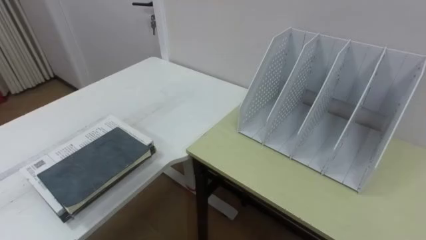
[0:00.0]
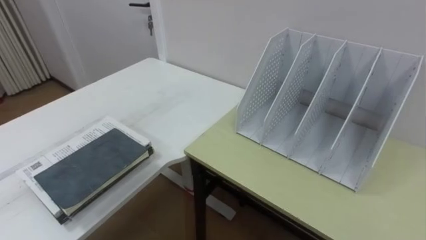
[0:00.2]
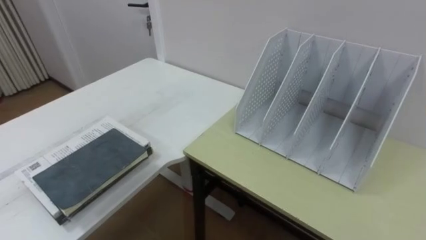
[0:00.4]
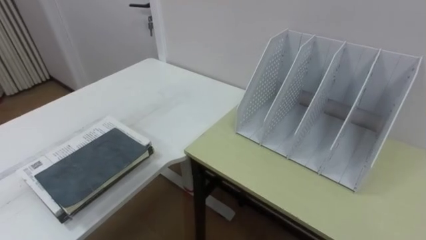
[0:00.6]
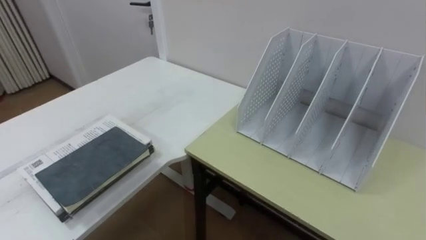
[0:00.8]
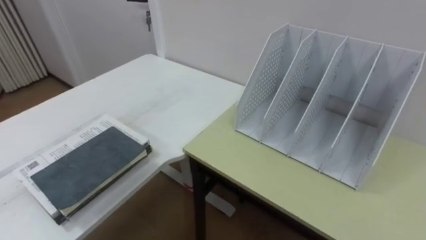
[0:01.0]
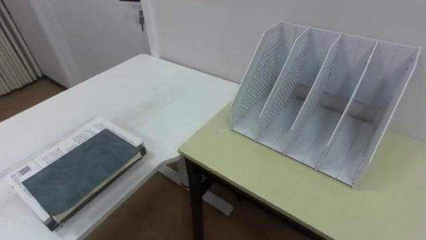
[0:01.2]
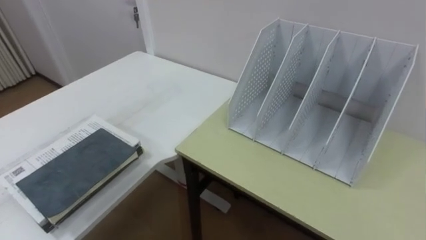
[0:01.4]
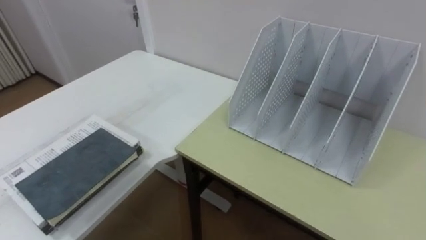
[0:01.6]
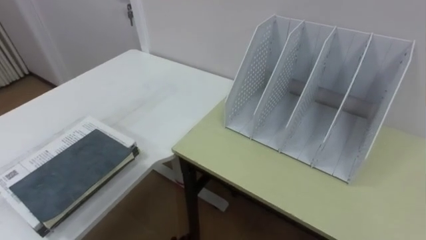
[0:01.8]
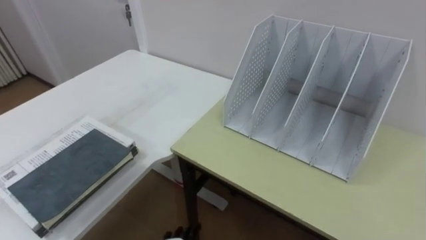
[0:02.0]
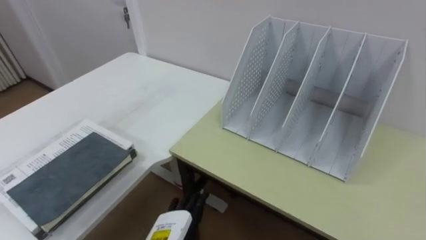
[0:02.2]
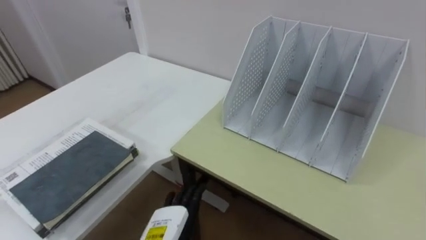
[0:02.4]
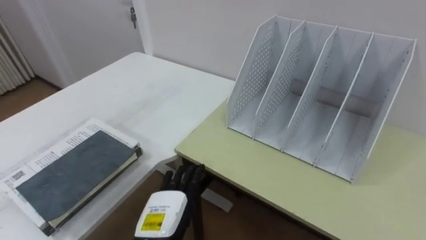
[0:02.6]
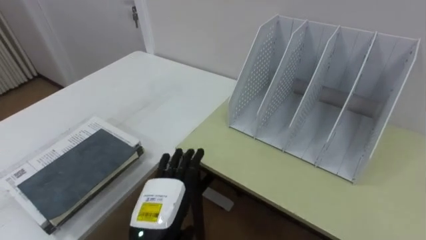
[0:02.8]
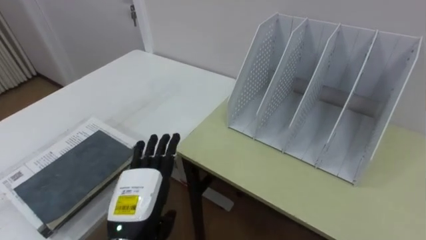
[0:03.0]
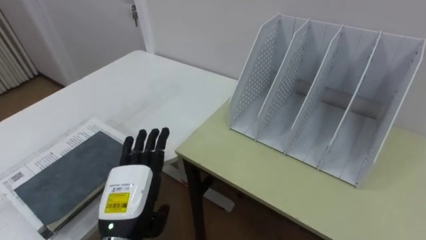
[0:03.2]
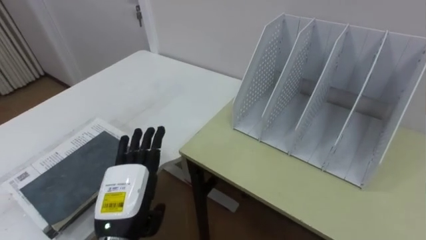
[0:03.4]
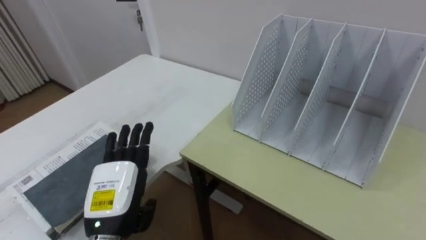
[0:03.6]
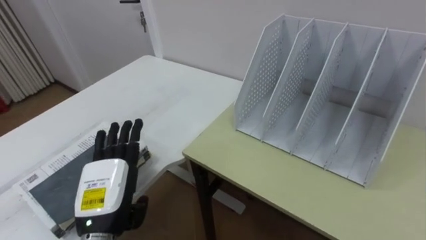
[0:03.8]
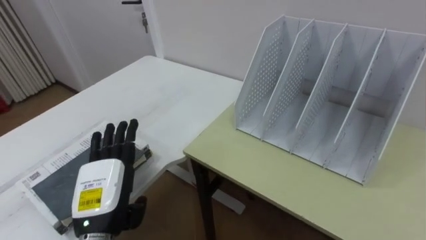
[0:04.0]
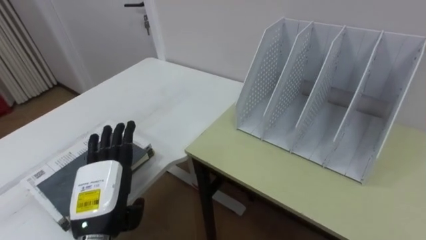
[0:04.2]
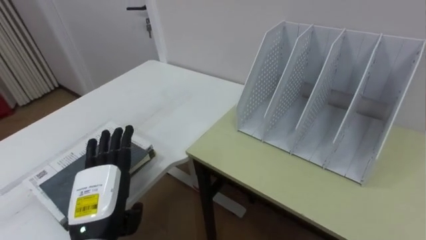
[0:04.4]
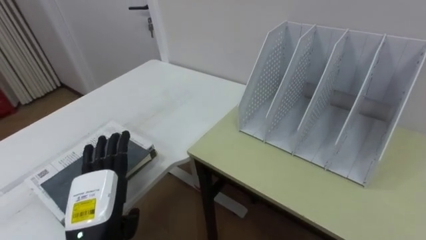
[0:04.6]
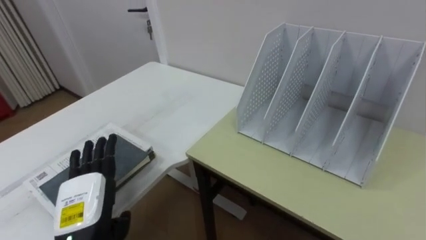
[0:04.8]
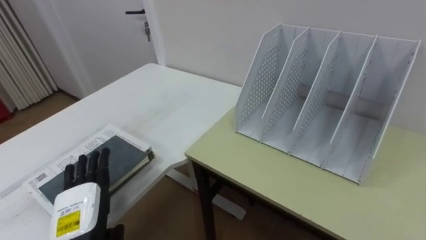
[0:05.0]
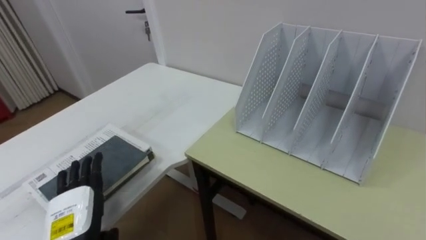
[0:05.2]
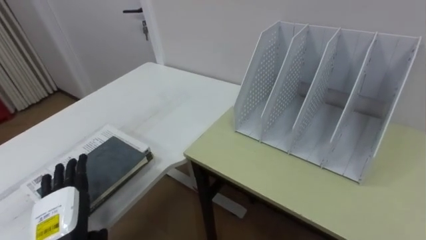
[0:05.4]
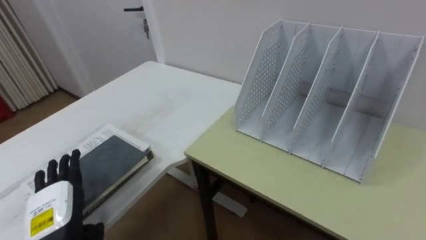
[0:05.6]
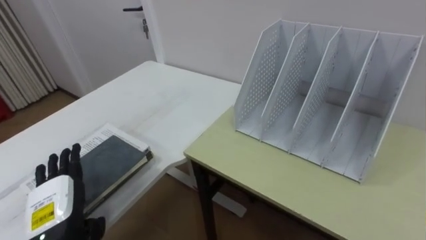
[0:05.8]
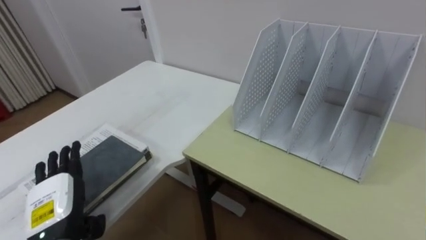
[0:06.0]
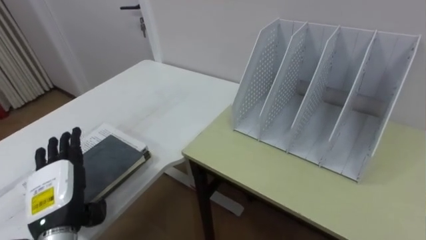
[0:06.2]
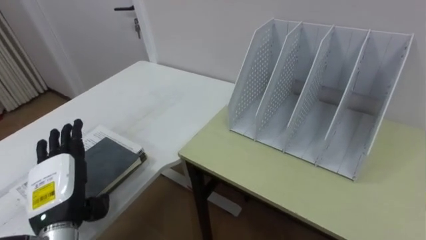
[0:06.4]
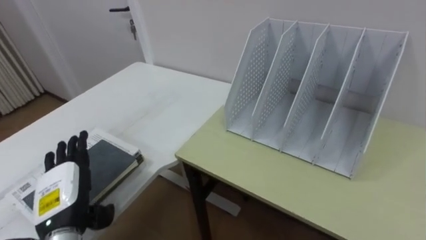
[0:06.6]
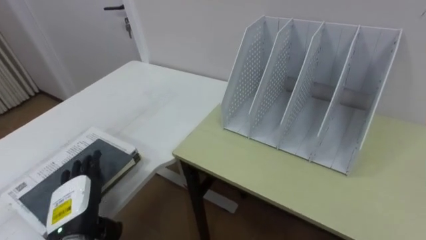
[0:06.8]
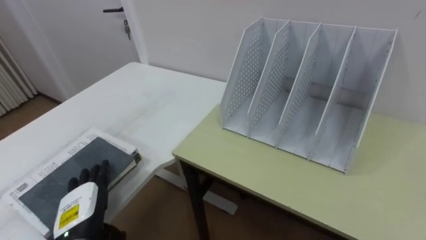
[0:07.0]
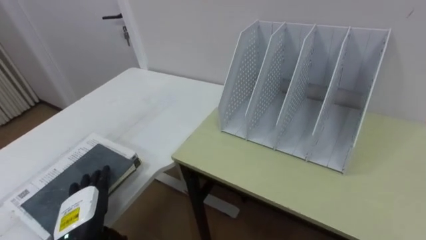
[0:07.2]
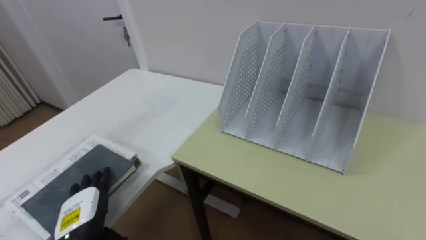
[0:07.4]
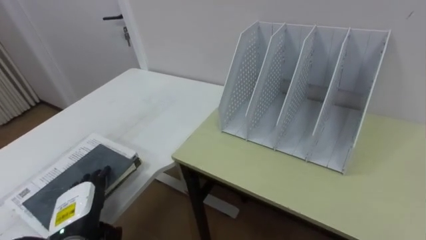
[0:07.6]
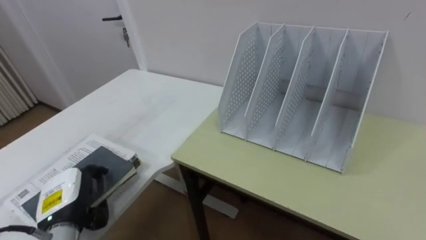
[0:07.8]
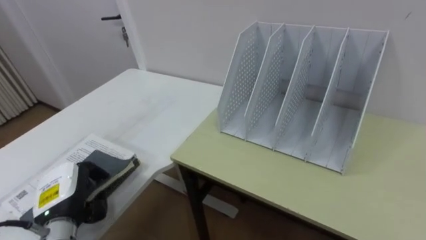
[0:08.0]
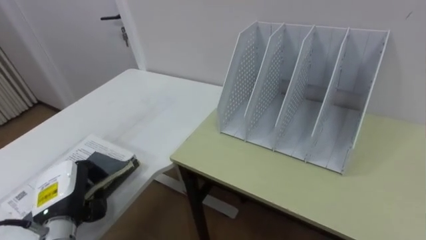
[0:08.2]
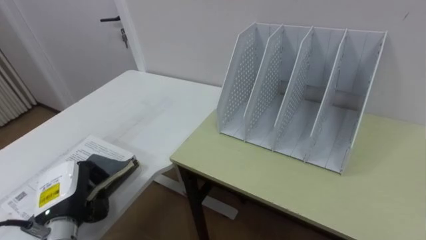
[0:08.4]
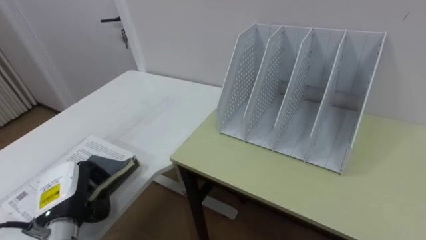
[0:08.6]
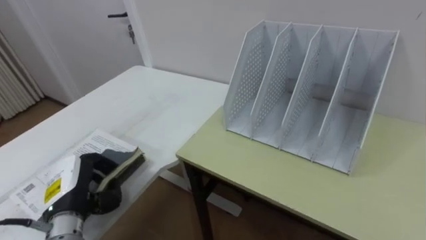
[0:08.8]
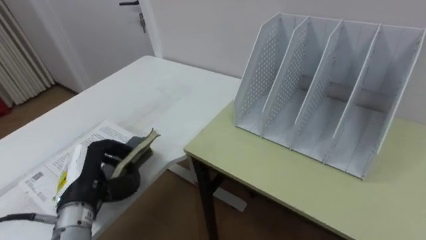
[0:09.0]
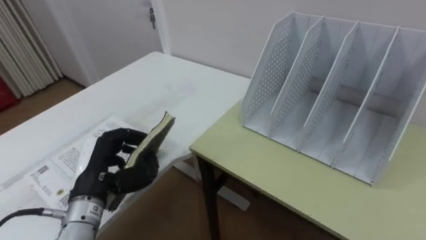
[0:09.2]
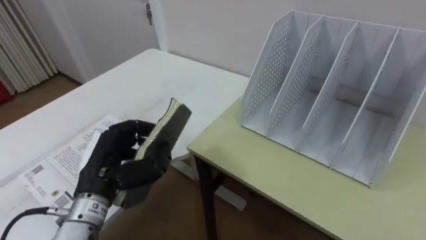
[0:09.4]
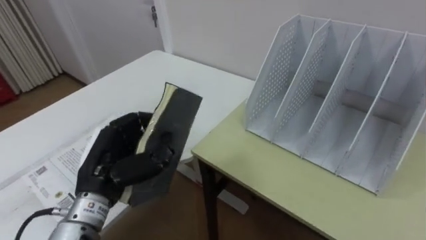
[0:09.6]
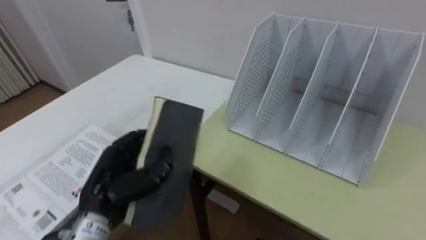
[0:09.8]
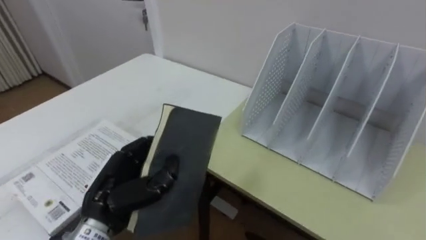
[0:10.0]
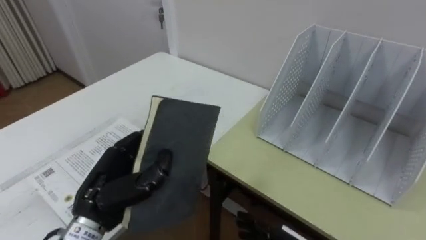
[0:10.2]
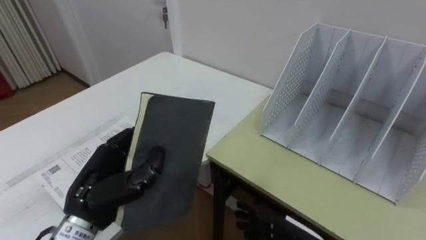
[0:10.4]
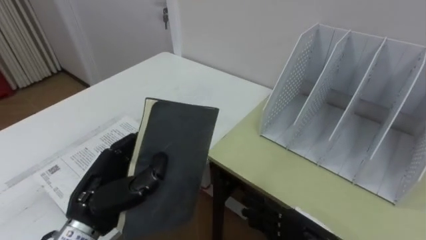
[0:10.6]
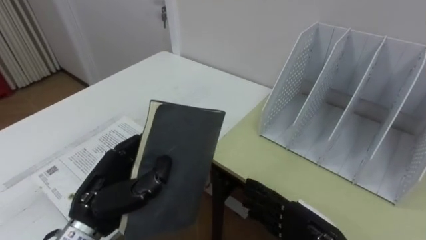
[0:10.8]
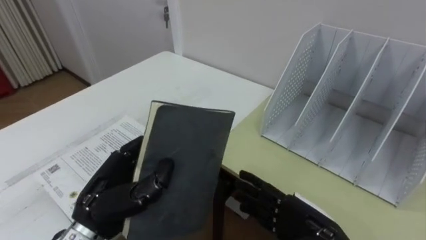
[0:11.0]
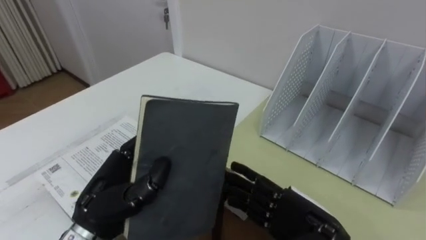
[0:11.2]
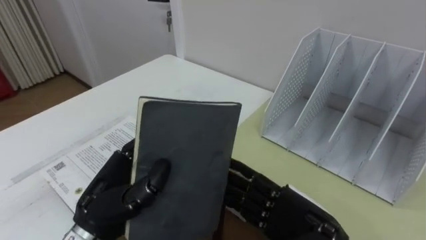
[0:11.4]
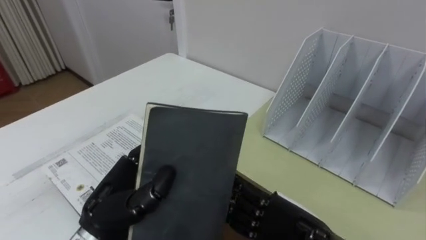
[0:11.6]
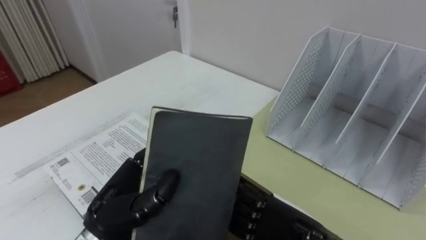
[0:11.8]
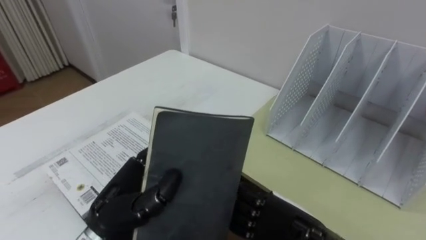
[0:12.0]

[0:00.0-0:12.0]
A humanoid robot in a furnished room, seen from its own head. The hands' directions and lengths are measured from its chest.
Task of the whole recording: Put the books on the table onto the bookshelf.
0:03.0 to 0:04.4: The left hand goes approximately 5 cm to the left.
0:04.4 to 0:06.0: The left hand travels to the left by about 5 cm.
0:06.0 to 0:07.6: The left hand moves roughly 5 cm.
0:07.6 to 0:09.0: The left hand moves upward, some 5 cm, and closes its fingers.
0:09.0 to 0:10.4: The left hand shifts approximately 5 cm to the right.
0:10.4 to 0:12.0: The right hand shifts about 10 cm upward.

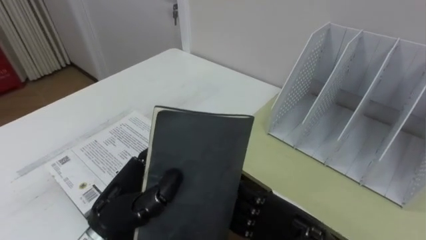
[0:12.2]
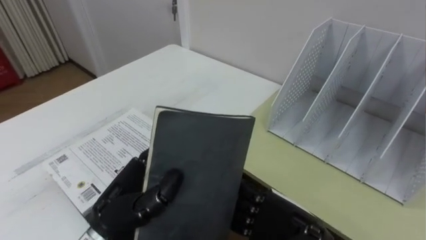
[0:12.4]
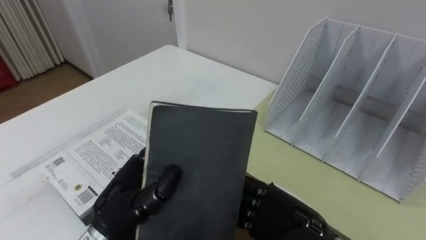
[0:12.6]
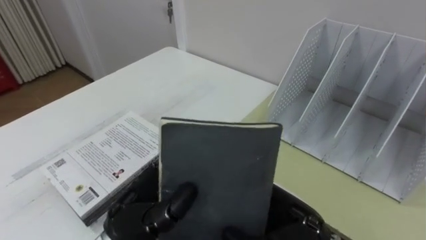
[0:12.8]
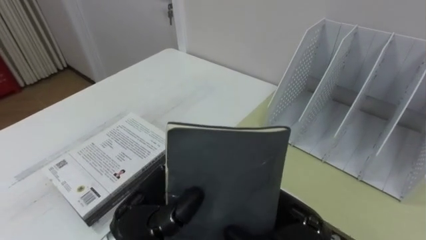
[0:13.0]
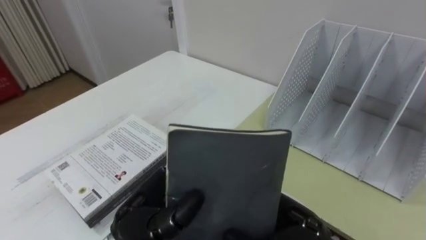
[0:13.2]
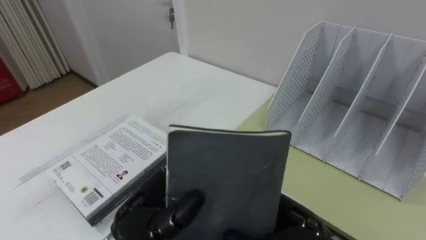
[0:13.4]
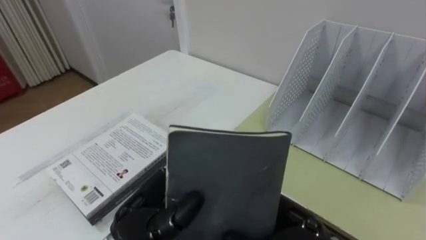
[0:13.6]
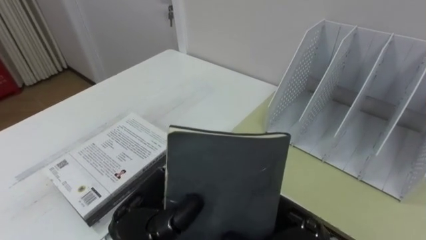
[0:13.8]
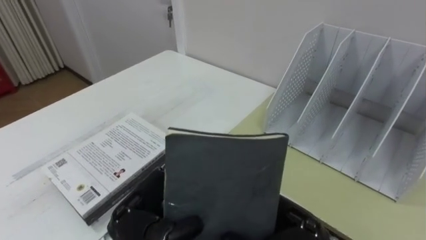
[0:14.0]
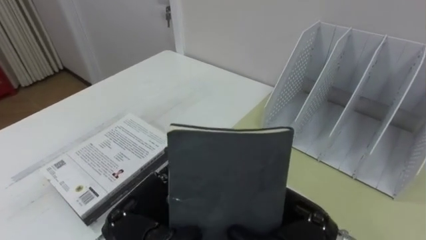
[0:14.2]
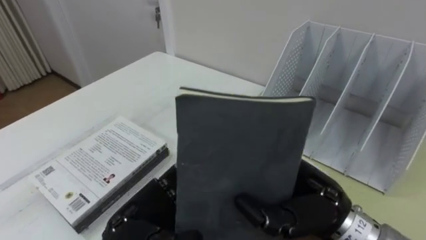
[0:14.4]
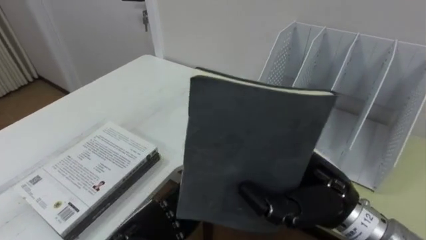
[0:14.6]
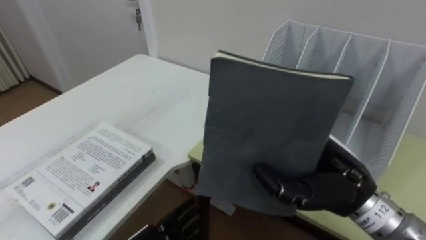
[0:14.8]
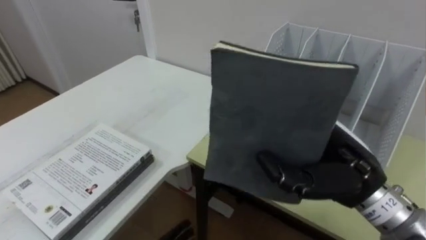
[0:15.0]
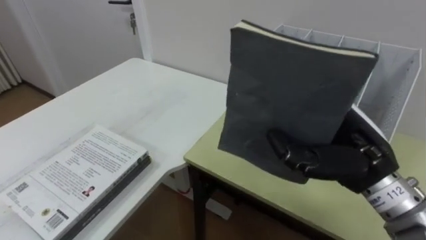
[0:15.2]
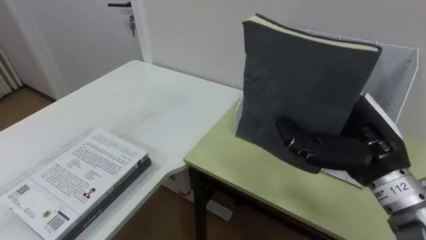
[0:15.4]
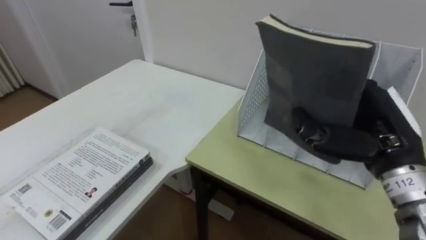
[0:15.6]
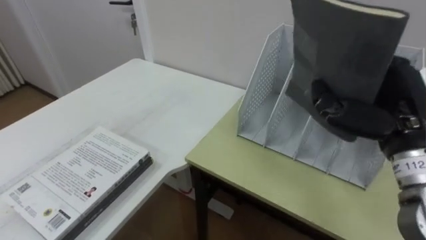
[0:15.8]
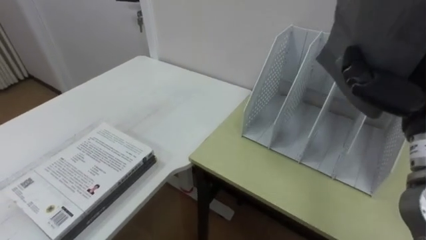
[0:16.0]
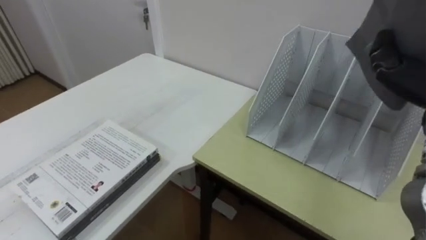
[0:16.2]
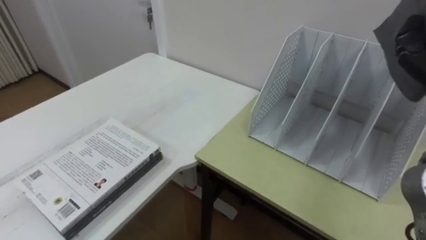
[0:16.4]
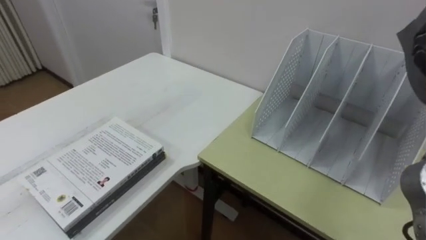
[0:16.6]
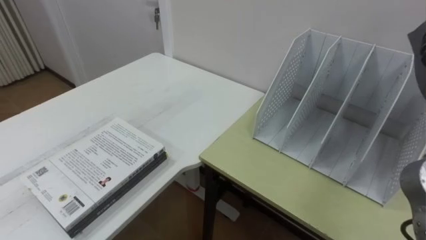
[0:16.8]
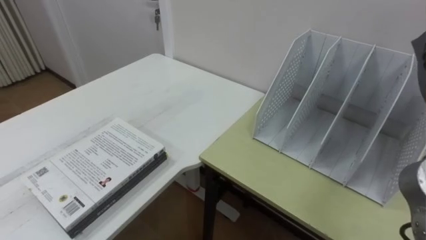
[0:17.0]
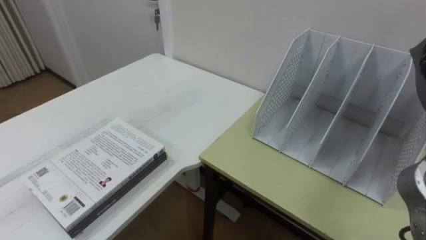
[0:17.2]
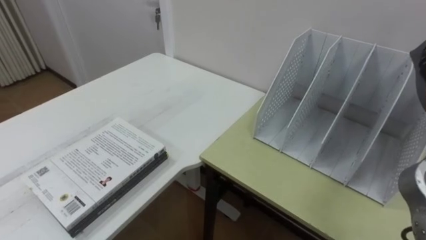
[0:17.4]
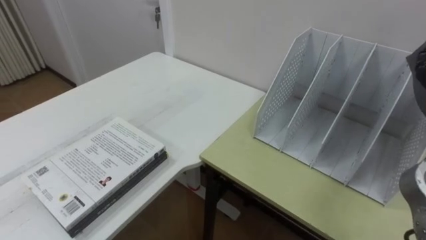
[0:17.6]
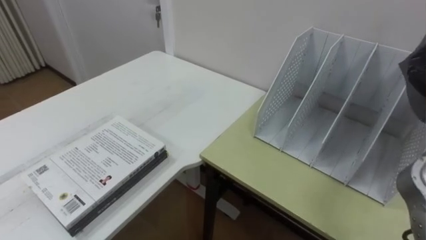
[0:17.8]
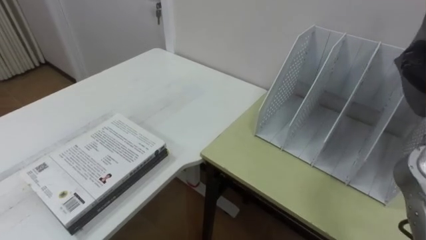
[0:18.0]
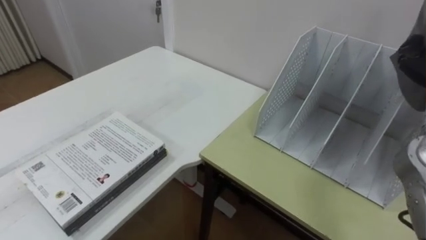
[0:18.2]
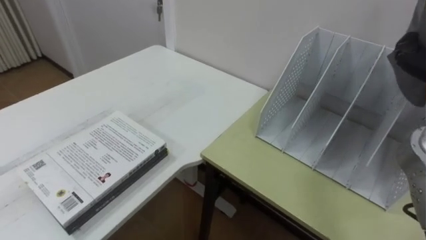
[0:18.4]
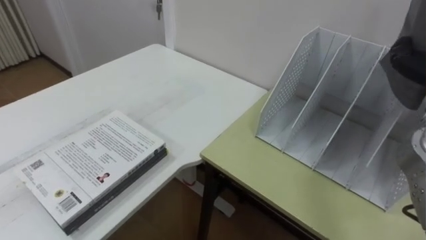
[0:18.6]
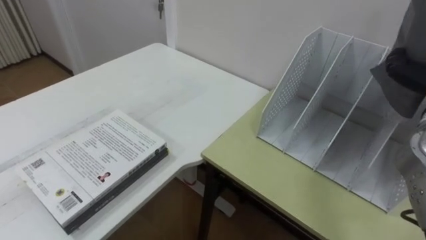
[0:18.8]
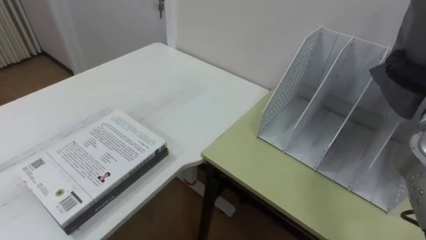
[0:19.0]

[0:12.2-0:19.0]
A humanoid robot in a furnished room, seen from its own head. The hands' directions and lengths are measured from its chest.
Task of the whole recording: Put the books on the table onto the bookshelf.
0:12.2 to 0:13.6: The right hand closes.
0:13.6 to 0:15.0: The right hand is displaced upward and to the right by some 10 cm.
